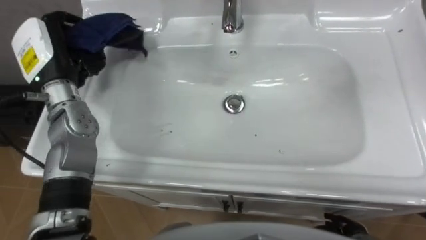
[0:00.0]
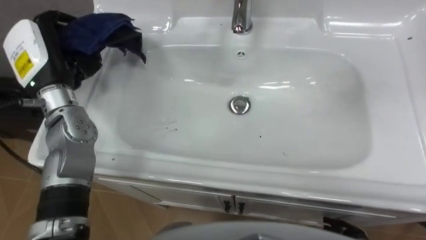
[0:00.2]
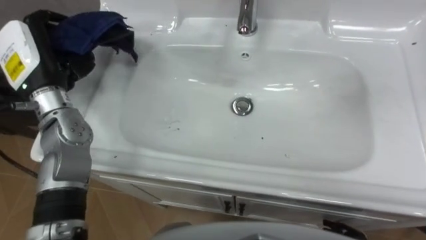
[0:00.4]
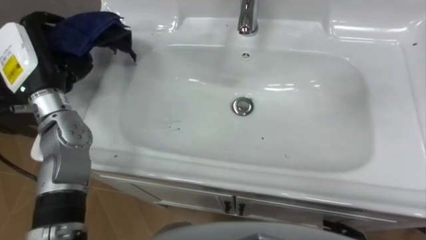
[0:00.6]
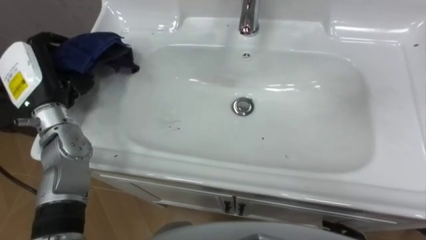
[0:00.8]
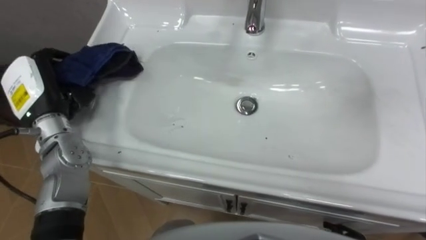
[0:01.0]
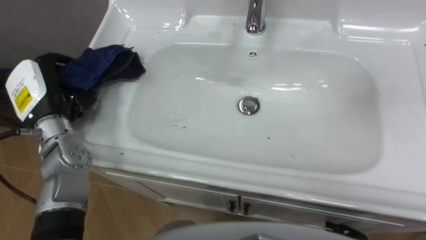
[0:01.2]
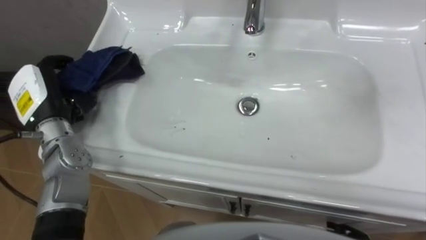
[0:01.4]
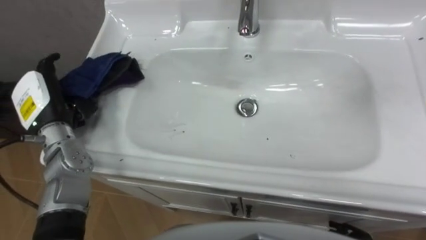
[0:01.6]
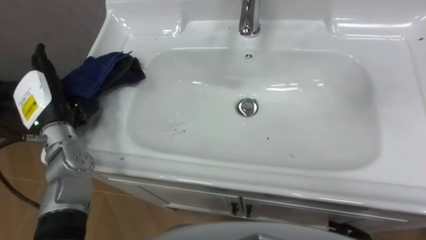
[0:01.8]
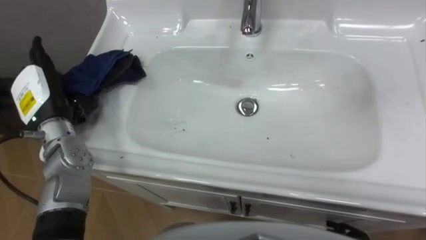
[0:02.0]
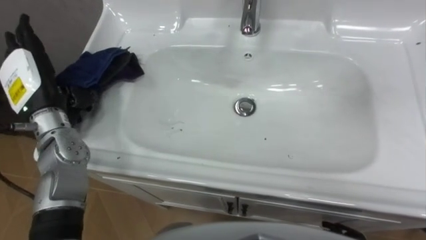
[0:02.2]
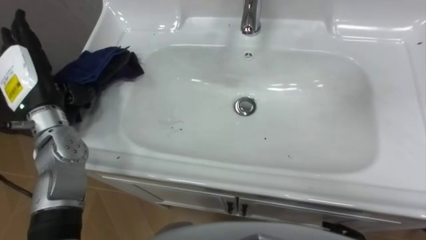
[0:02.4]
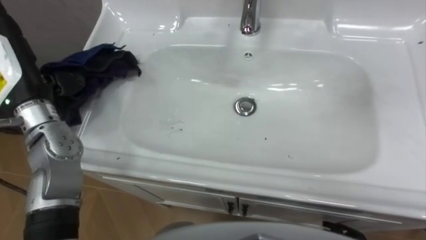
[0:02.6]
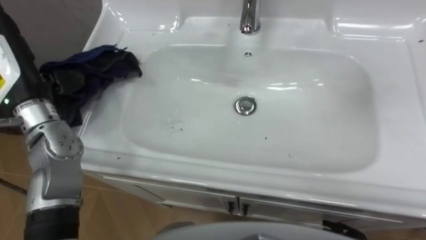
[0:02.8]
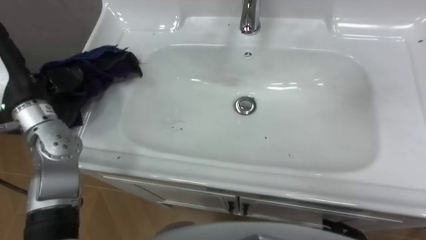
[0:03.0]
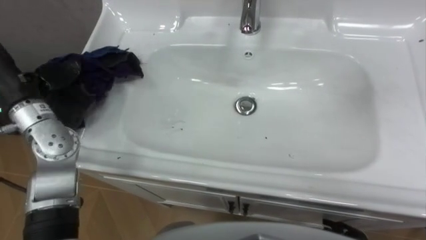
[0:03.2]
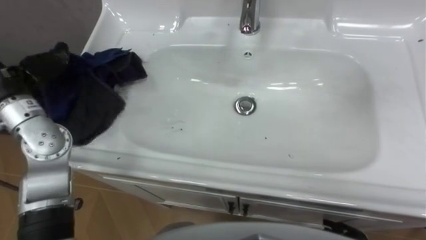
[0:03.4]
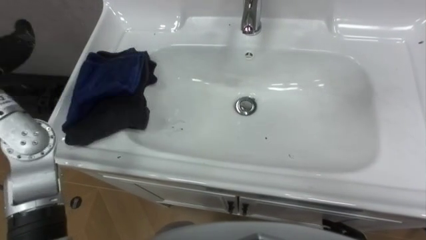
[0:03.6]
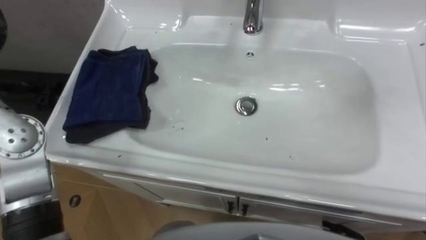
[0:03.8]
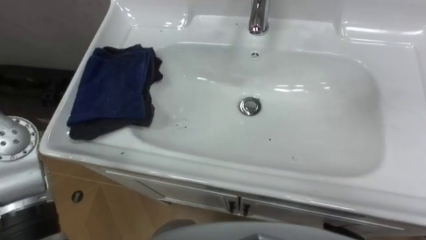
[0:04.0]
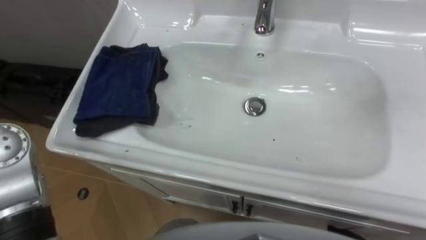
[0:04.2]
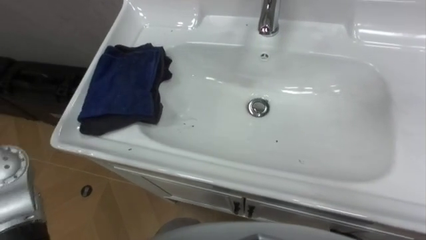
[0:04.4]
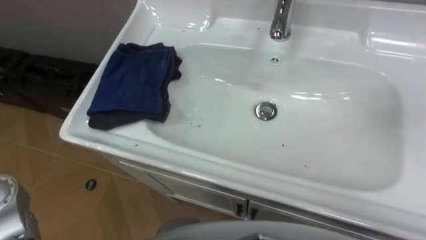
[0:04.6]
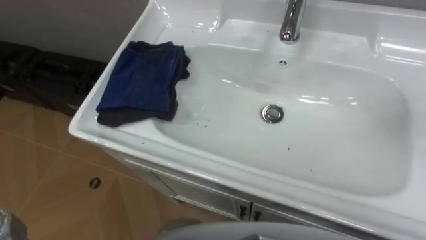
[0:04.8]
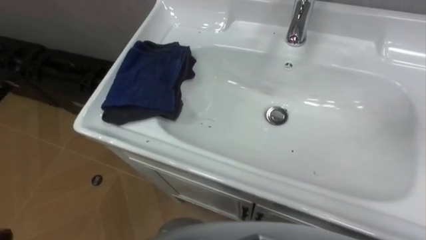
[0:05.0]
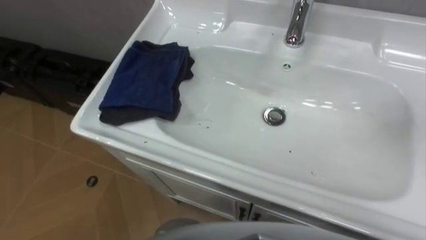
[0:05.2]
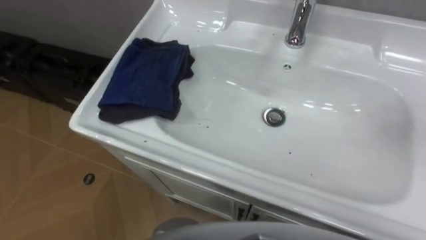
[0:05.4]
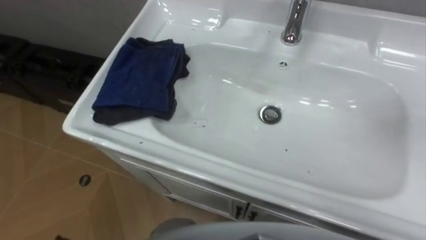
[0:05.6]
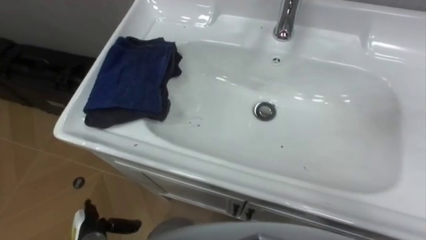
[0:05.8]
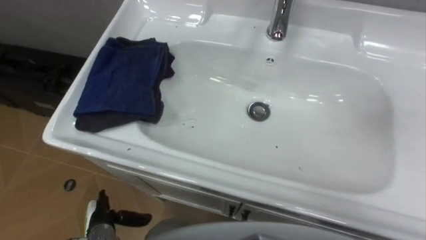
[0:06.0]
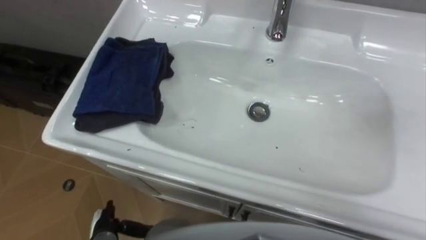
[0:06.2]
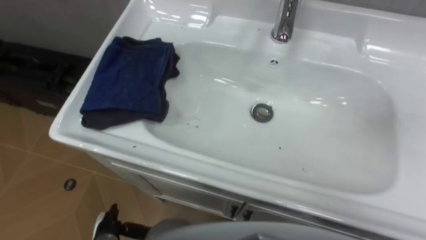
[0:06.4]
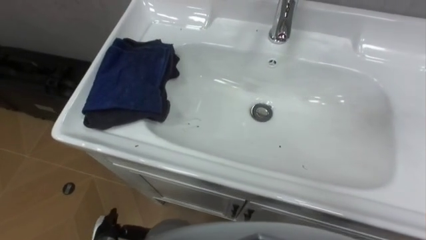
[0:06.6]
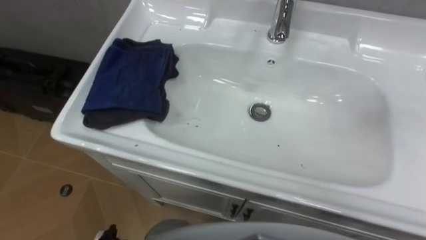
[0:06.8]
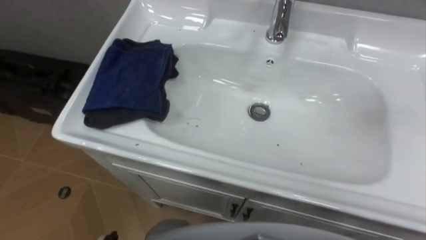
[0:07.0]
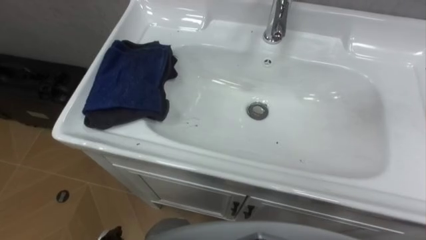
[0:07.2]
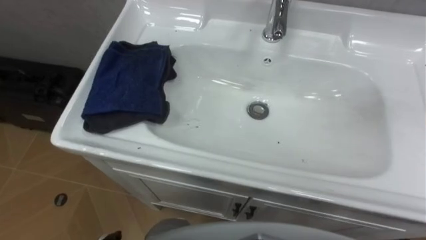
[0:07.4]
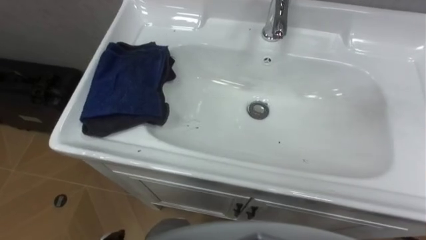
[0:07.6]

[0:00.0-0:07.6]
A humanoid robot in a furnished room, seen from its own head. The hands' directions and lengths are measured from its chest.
Task of the whole recording: Use the cloth on the right to wipe away the black stain in the sink.
0:00.0 to 0:01.6: The left hand travels downward and backward by approximately 10 cm, and opens its fingers.
0:01.6 to 0:03.0: The left hand travels upward by roughly 10 cm.

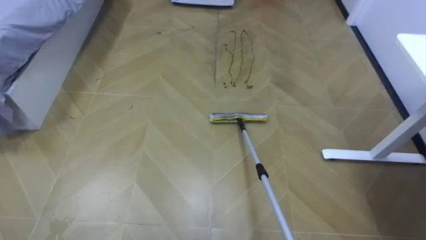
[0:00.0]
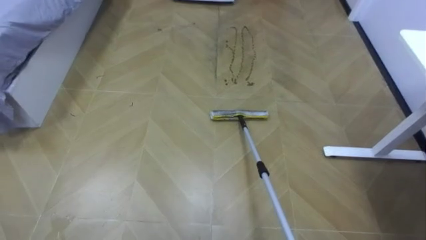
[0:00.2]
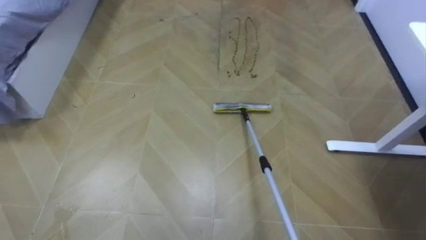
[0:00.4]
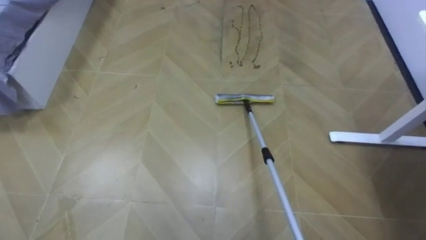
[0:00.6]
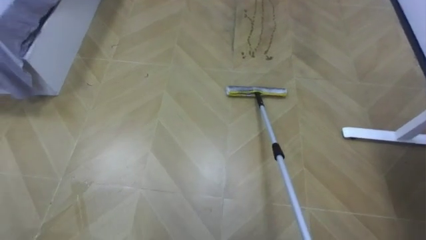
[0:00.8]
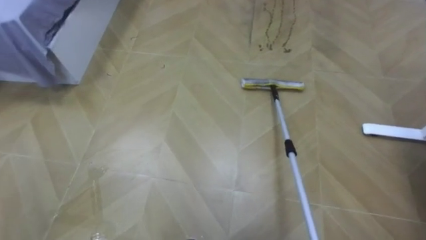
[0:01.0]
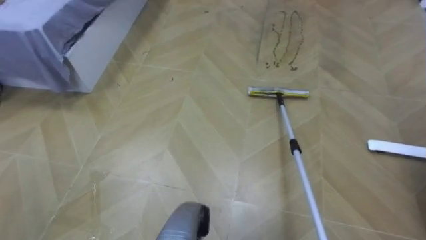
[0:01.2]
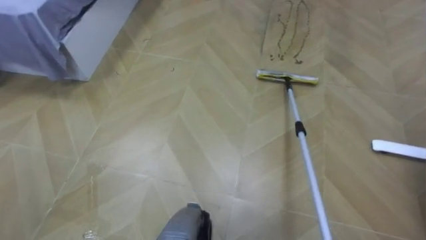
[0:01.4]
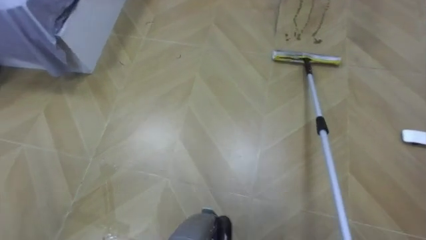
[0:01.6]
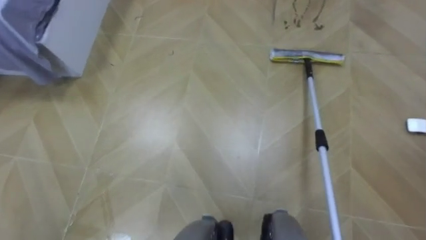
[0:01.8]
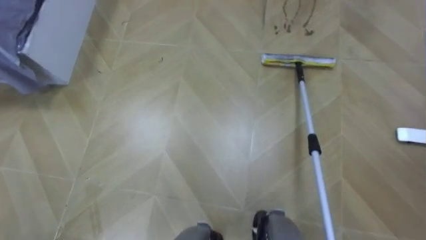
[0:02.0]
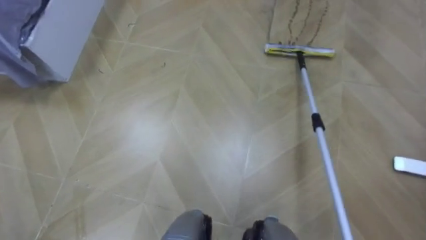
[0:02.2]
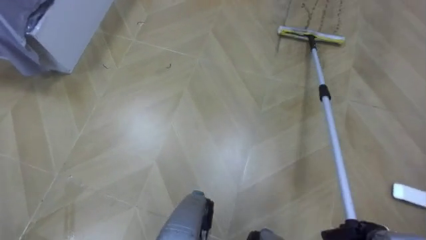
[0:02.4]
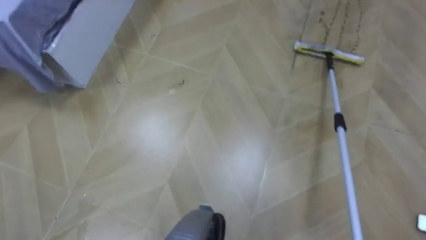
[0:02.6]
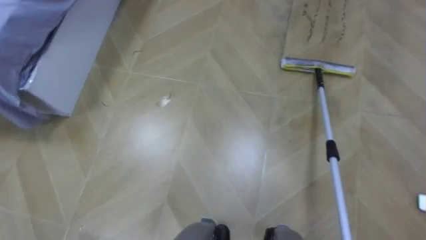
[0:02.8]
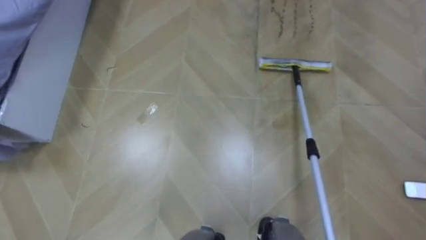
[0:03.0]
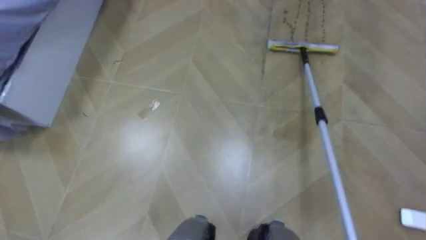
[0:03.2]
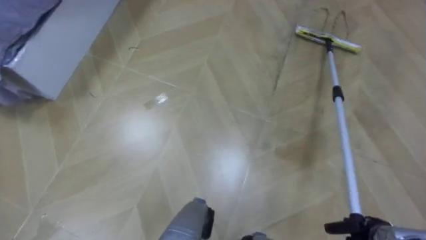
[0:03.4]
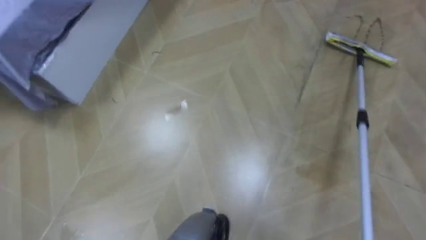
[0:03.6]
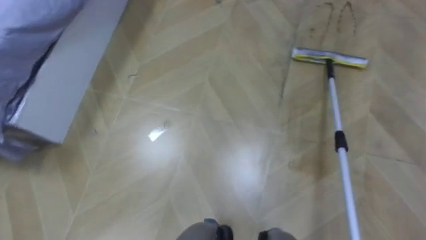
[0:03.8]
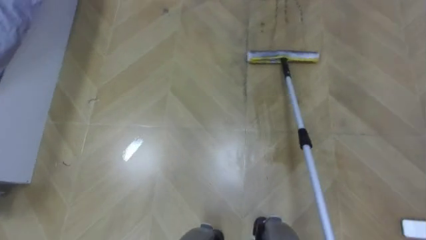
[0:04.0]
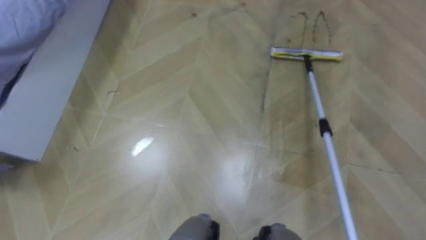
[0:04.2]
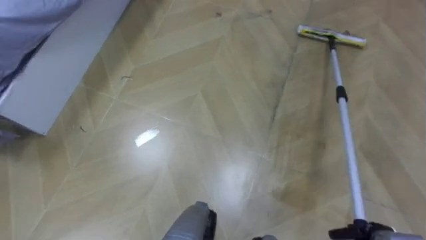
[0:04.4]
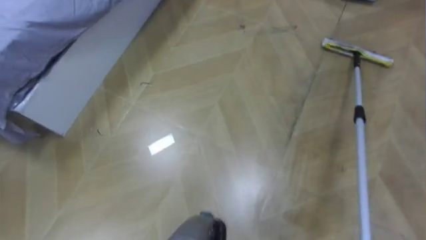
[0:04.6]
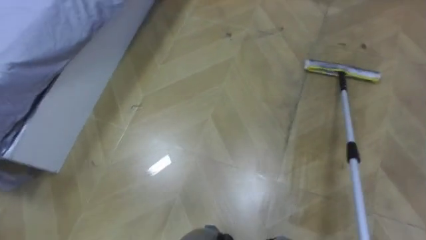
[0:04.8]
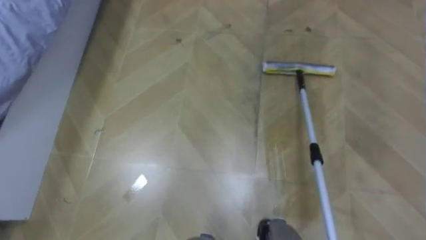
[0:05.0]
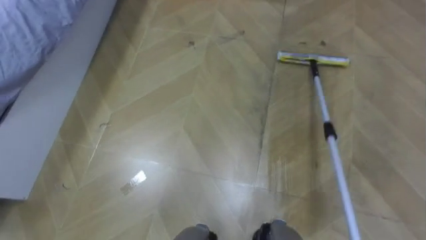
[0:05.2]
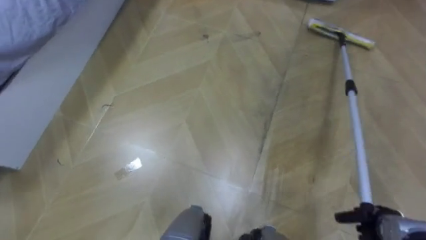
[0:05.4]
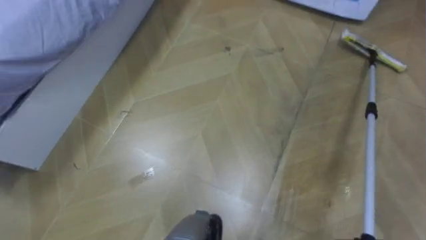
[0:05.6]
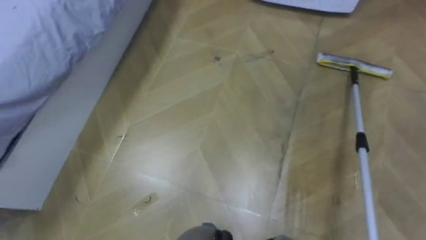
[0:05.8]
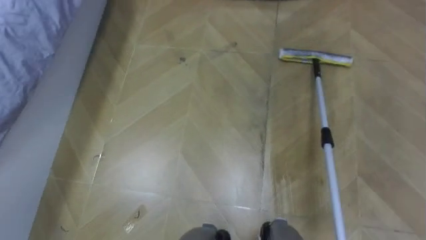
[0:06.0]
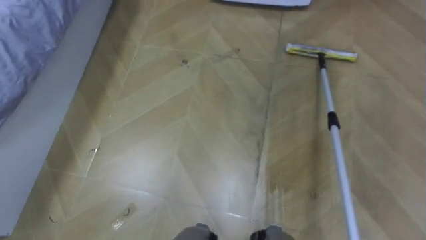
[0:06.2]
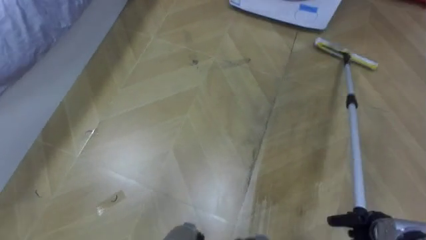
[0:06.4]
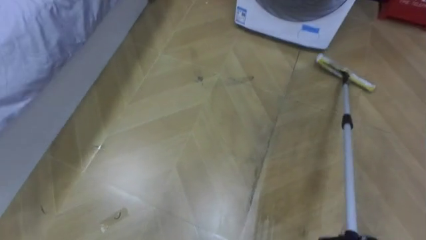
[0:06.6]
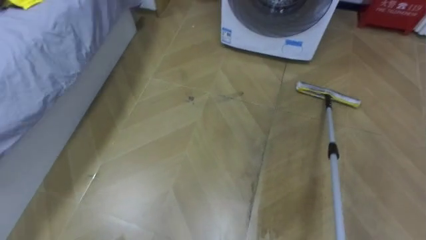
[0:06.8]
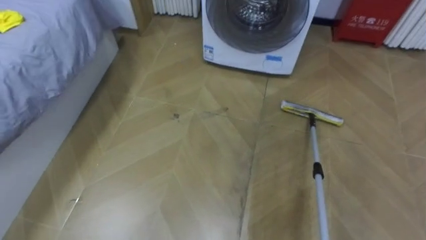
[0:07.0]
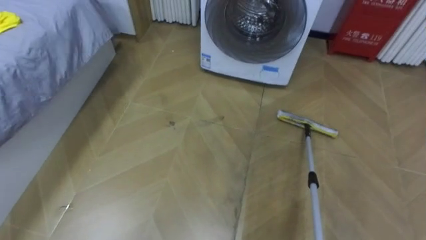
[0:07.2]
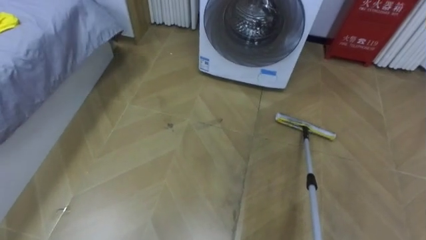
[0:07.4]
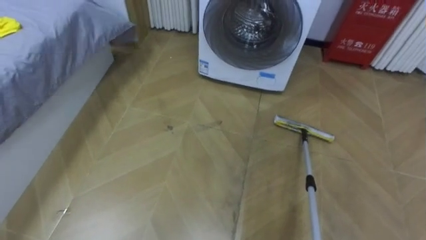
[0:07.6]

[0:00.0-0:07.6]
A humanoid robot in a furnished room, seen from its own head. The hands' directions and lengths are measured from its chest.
Task of the whole recording: Use the mop to clean the black water stains off the floor.
0:03.0 to 0:04.6: The robot faces some 15 degrees further to its left.

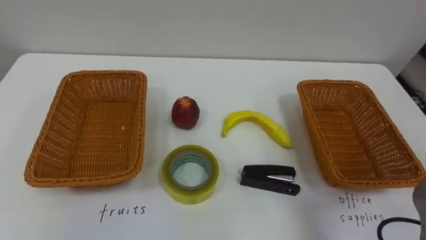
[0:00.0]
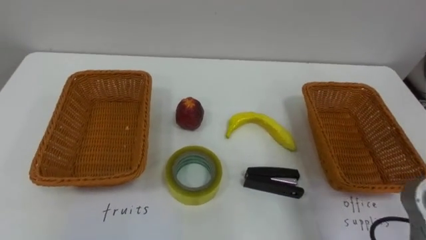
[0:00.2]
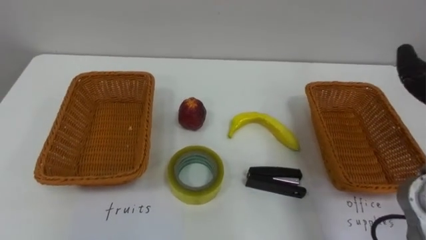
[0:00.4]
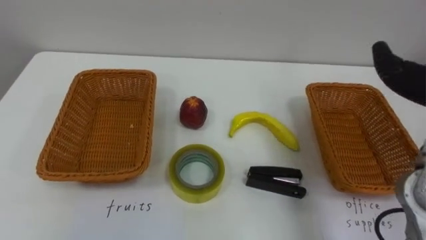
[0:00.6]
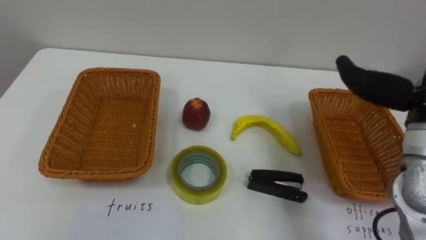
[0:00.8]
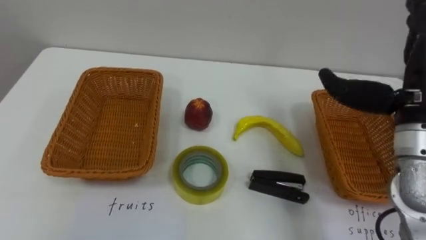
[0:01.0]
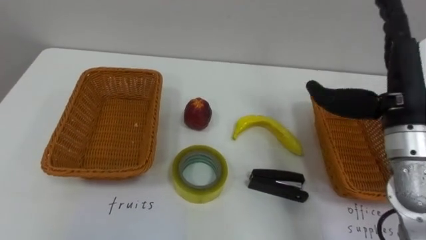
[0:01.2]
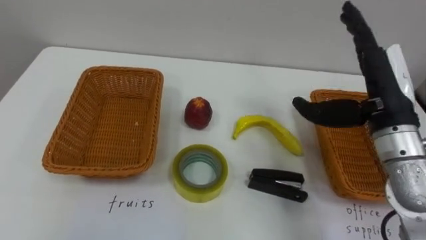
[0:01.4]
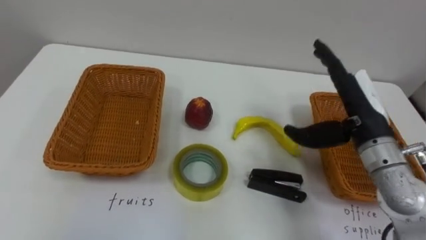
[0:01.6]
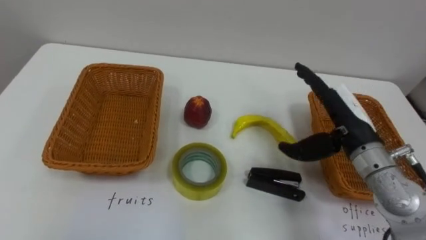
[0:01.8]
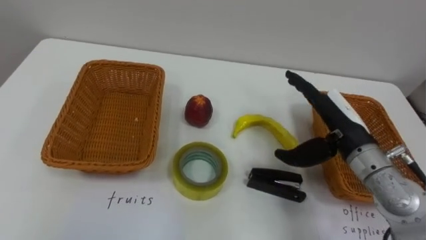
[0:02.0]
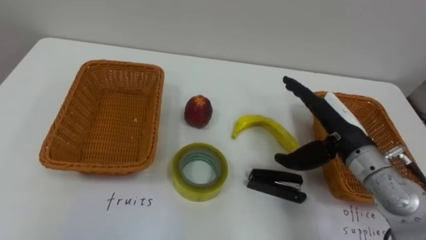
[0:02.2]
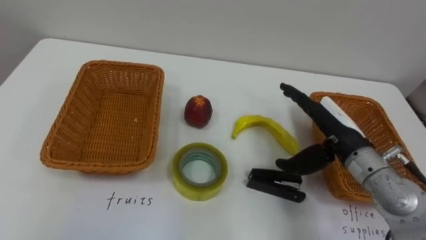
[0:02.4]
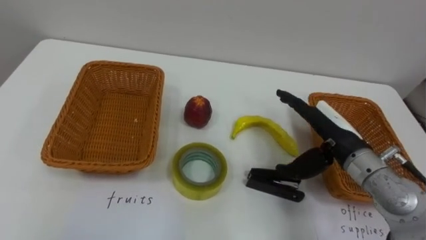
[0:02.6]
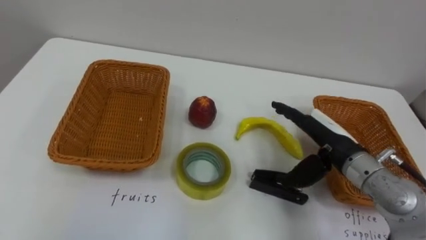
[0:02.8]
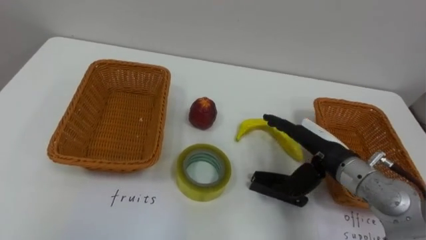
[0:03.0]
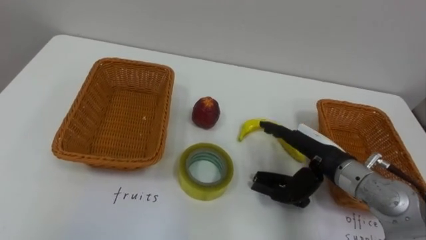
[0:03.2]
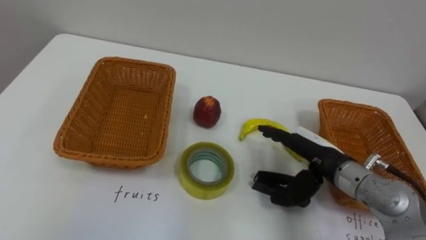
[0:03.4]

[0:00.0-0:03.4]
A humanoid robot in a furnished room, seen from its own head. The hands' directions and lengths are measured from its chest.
Task of the whole recording: Separate the items on the table and place them into the two baskets.
0:01.6 to 0:03.4: The right hand goes roughly 10 cm downward.
